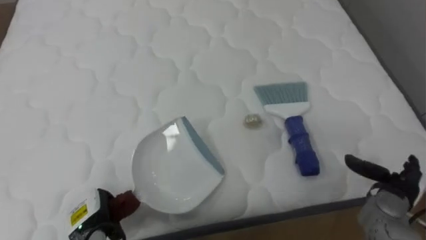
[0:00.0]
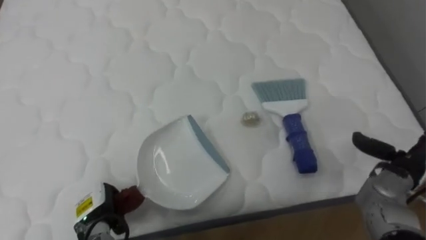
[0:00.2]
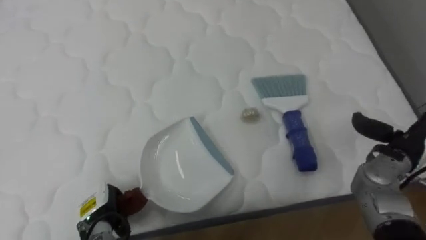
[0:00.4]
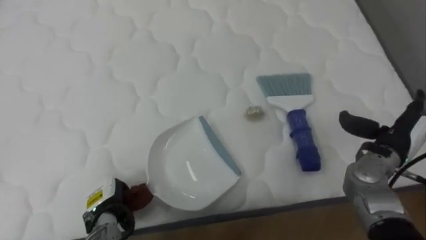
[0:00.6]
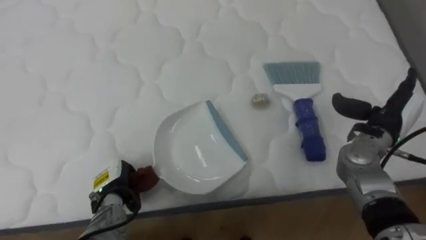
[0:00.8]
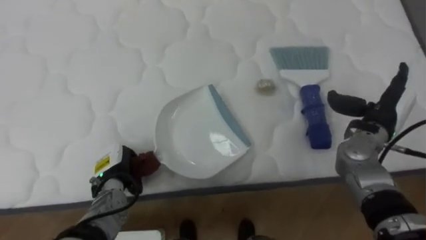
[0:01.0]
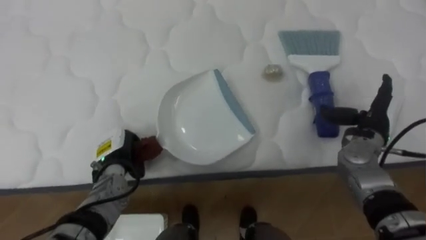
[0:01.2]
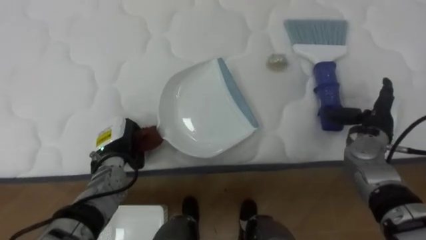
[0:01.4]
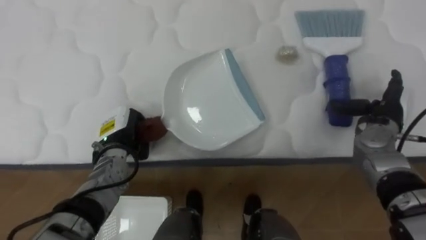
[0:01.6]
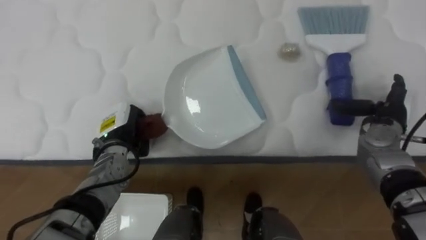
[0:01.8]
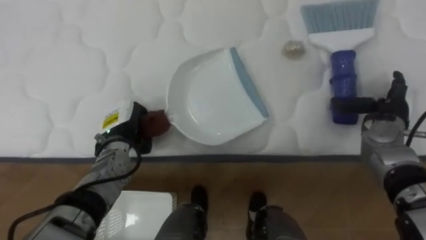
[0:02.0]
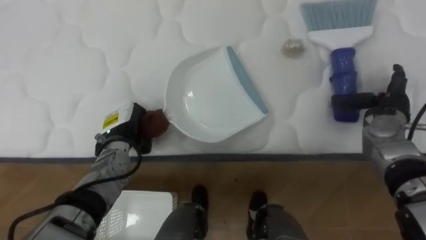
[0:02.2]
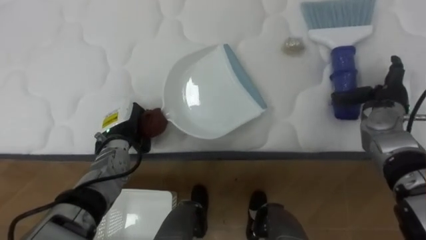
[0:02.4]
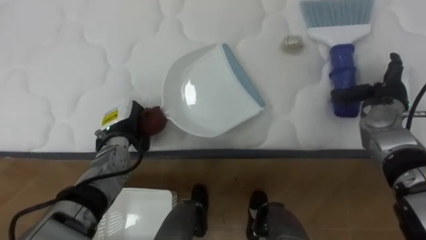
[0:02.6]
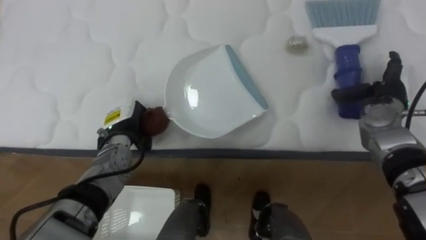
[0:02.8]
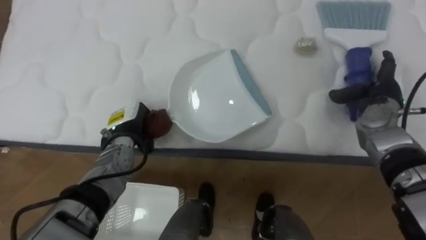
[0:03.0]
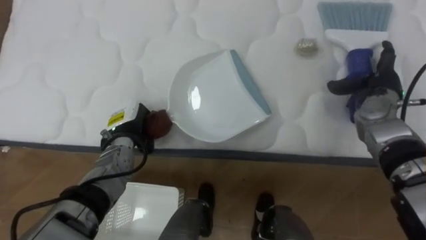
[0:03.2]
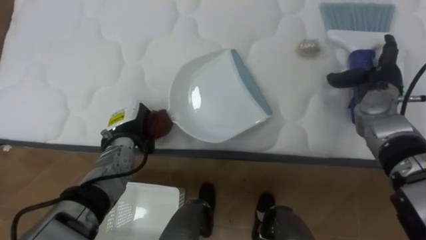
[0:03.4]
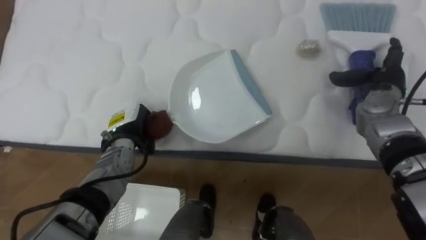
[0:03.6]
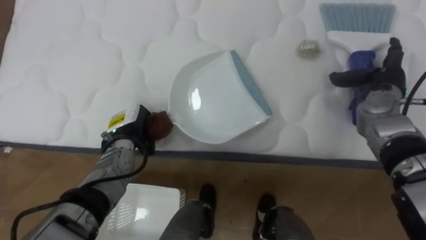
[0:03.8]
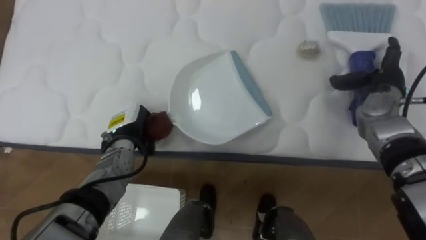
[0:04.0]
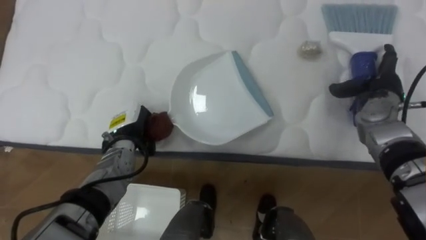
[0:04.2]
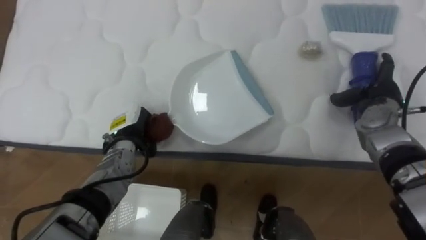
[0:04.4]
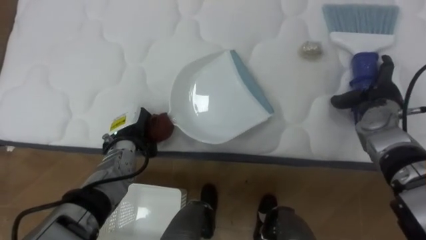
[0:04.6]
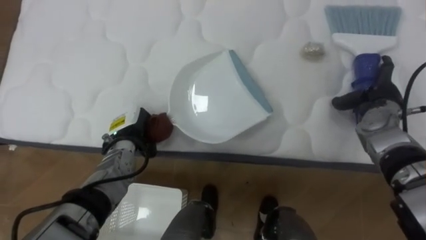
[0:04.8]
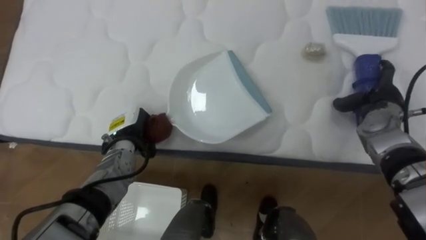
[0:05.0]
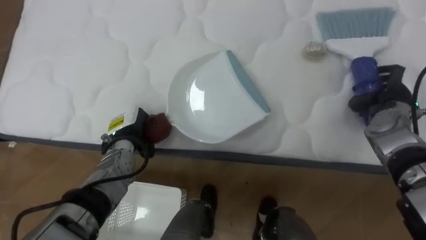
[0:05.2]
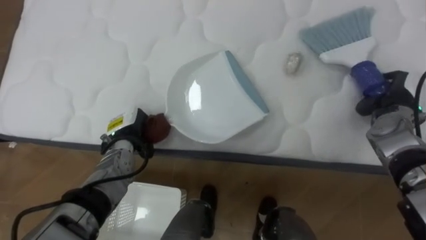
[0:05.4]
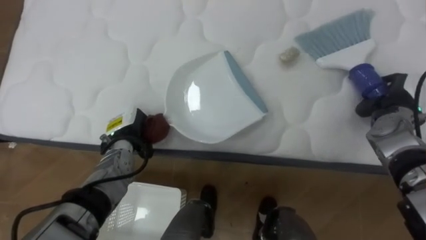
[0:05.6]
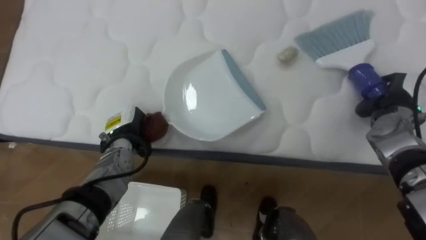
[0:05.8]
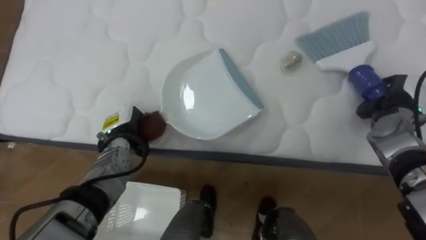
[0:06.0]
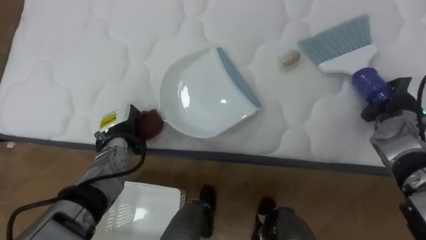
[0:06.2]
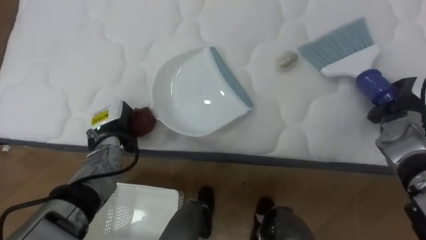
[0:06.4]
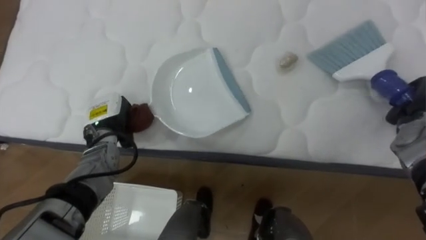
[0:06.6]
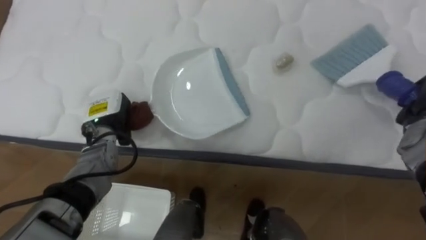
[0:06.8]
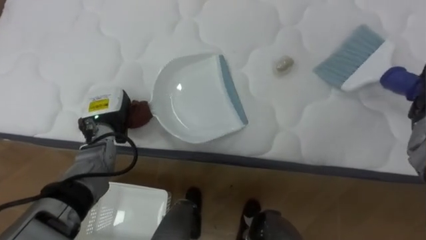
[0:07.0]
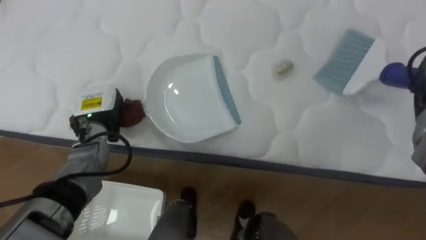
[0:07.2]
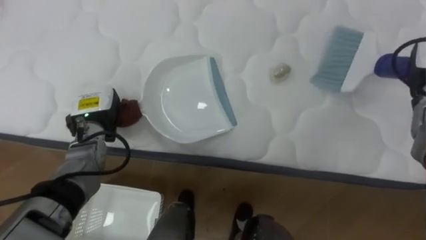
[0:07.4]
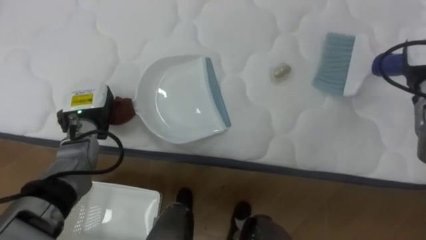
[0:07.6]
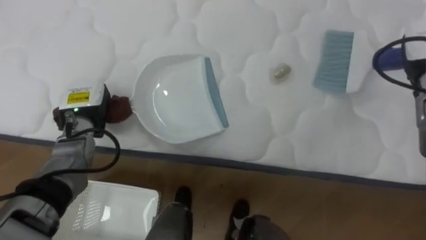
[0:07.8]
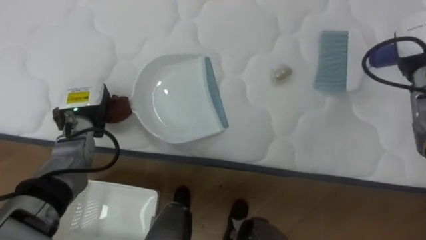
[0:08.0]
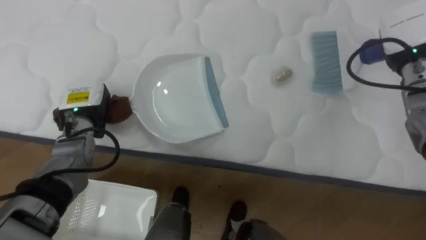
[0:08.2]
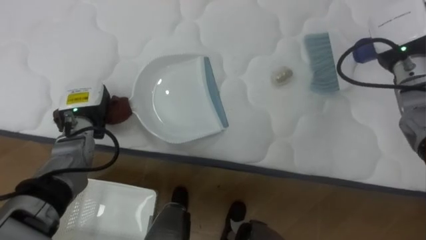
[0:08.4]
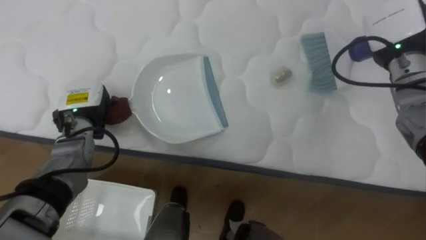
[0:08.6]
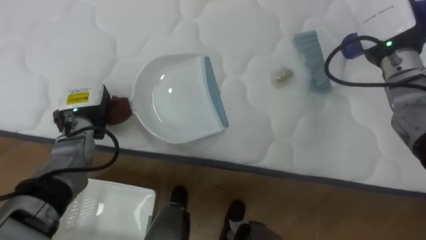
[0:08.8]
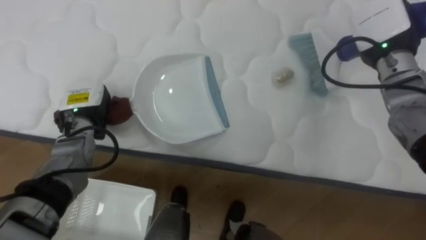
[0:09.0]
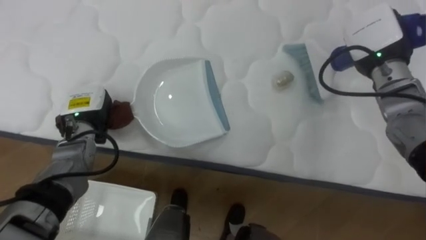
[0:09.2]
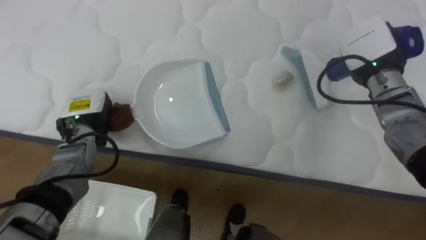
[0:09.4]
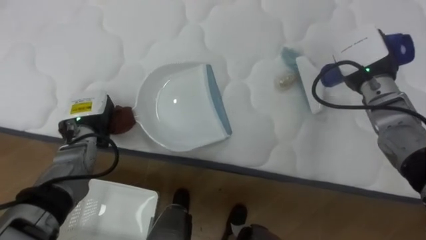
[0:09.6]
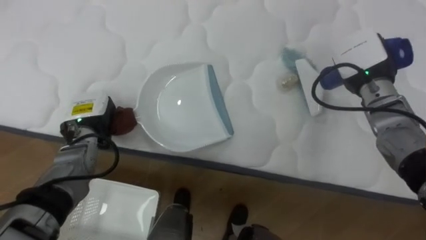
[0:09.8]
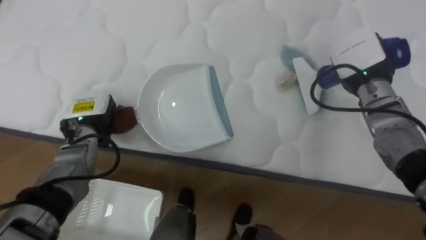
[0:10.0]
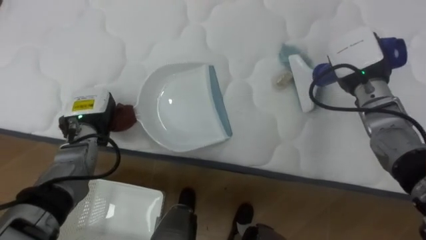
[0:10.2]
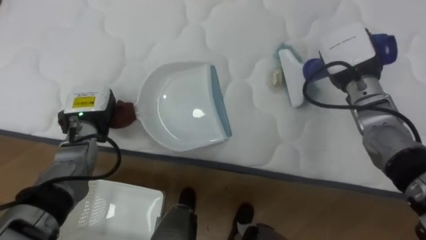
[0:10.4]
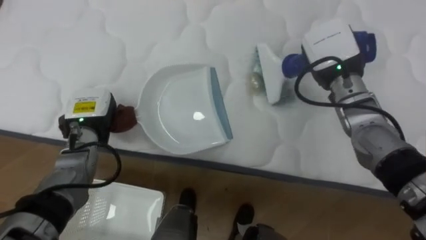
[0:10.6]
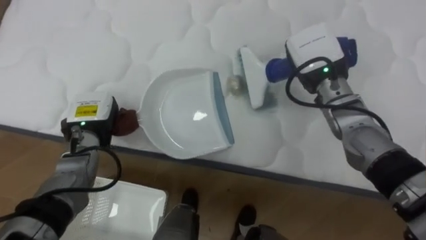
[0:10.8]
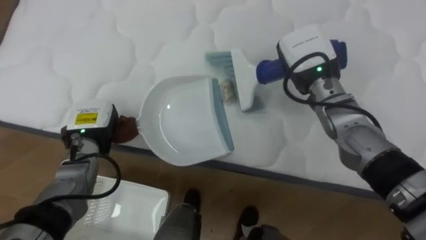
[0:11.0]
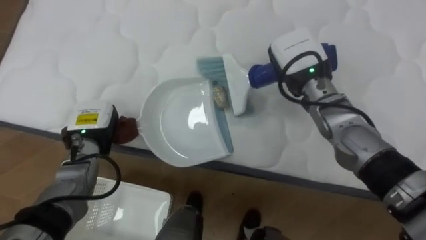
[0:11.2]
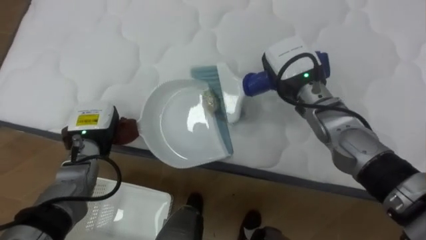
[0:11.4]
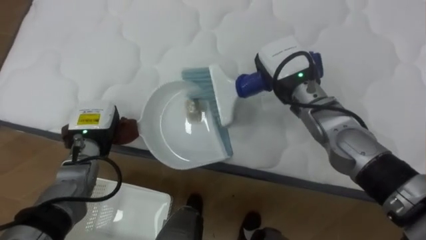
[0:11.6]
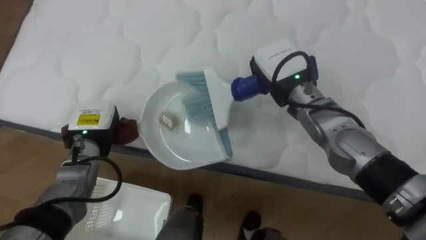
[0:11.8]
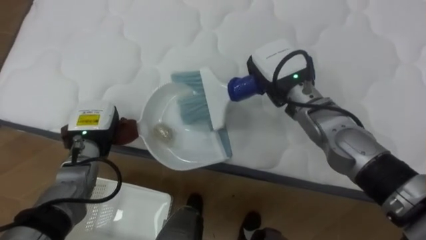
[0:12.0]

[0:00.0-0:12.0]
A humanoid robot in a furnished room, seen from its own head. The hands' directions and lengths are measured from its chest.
Task of the whole recording: Pick up the brush on your right and the dustpan on your left. Use the brush to sweep the crumpled paper on the bed into the dustpan, then turn left and empty it into the basket.
0:00.0 to 0:01.6: Both hands travel together forward and upward, about 15 cm.
0:04.4 to 0:06.0: The right hand closes up.
0:06.0 to 0:07.6: The left hand goes roughly 10 cm to the left and upward.
0:07.6 to 0:09.0: The right hand heads to the left, covering some 10 cm.
0:09.0 to 0:10.4: The right hand moves approximately 5 cm.
0:10.4 to 0:12.0: The right hand shifts some 10 cm to the left.

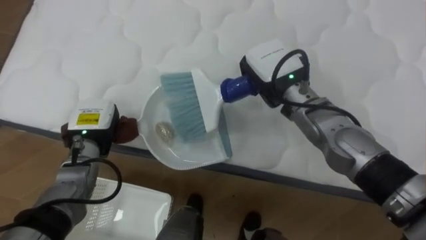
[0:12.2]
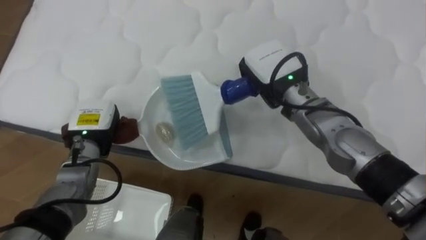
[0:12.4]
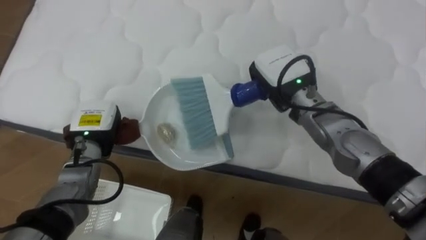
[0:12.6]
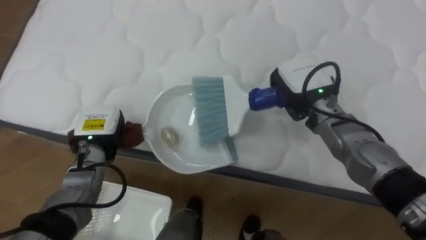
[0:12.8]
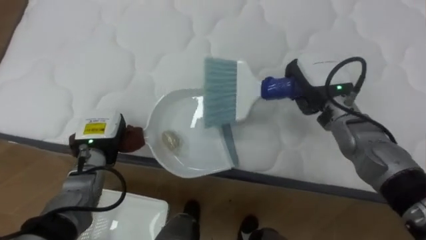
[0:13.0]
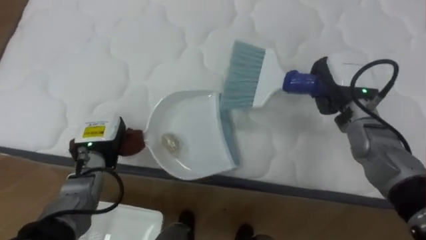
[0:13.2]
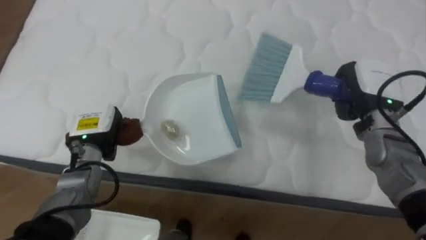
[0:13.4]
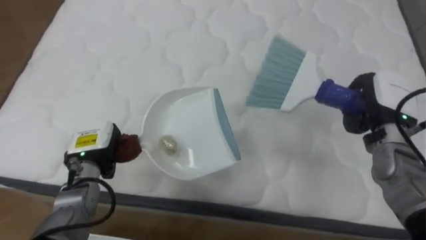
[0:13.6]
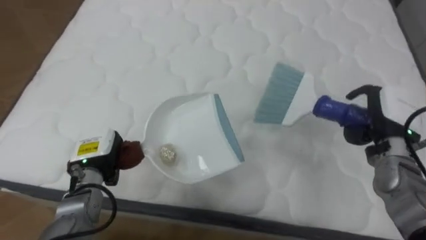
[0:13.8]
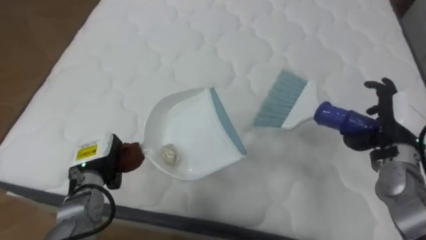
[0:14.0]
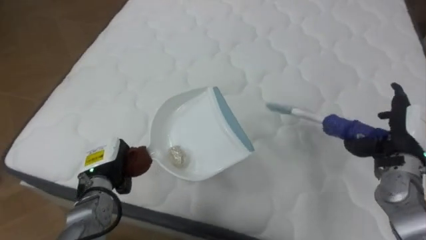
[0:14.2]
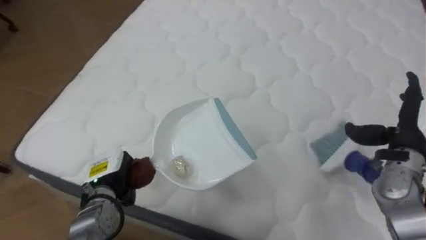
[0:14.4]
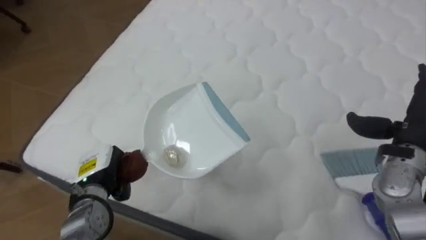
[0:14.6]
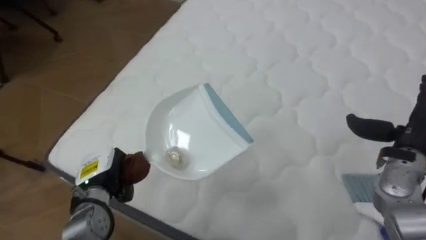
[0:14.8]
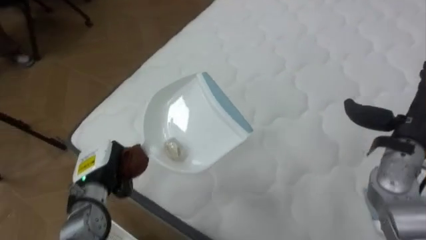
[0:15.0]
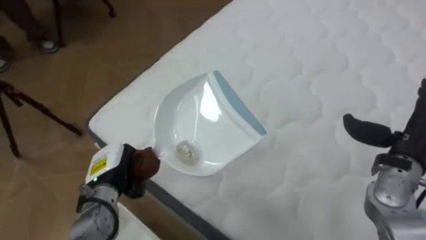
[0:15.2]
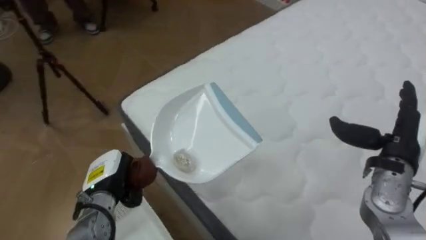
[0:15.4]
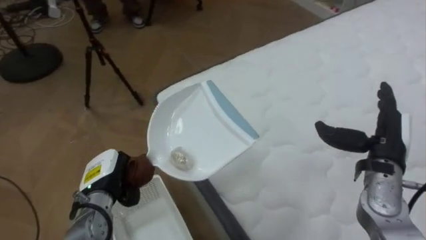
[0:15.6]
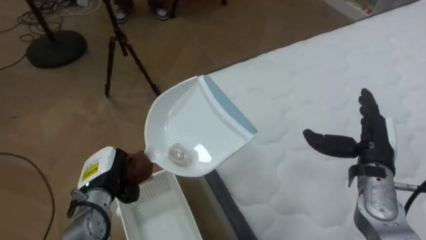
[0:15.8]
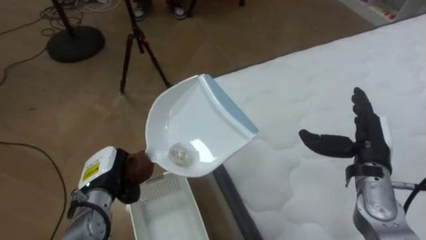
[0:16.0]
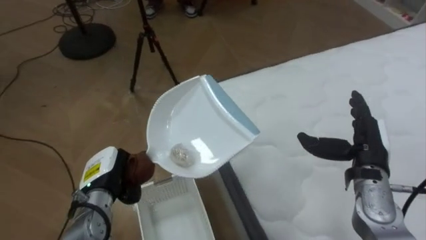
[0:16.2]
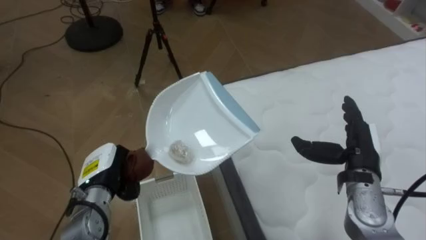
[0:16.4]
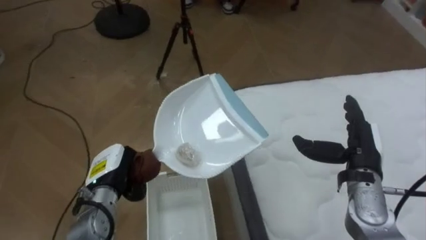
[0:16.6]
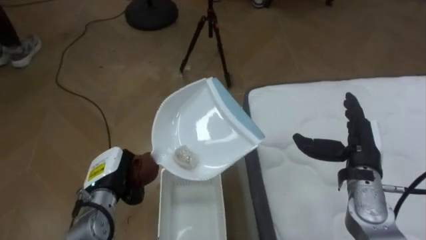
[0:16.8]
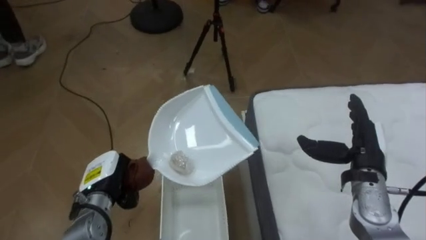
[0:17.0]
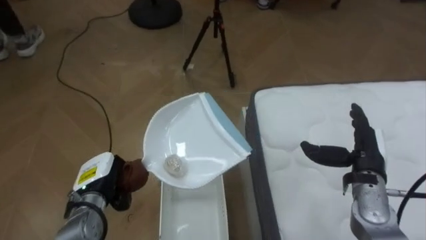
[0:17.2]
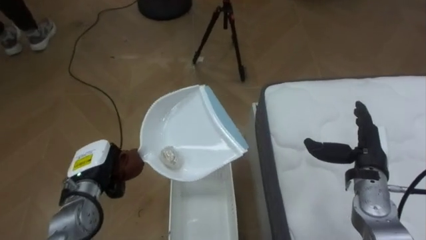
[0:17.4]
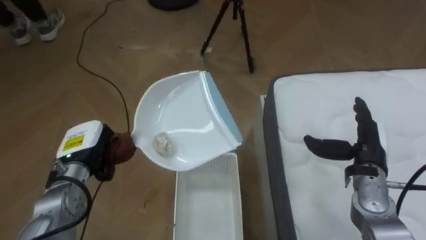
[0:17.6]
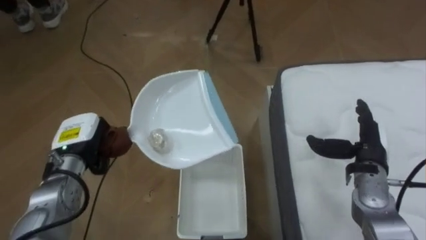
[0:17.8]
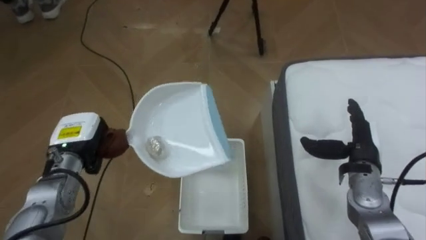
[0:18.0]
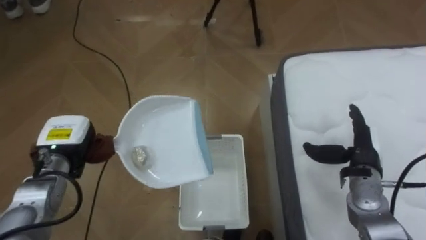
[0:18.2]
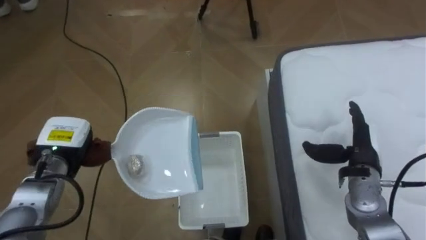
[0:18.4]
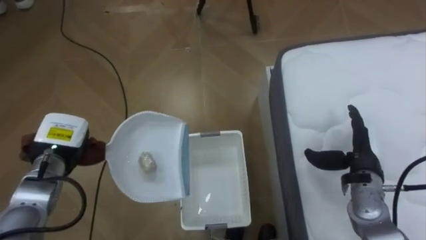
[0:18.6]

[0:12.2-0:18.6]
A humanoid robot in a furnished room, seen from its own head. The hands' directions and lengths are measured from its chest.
Task of the whole recording: Pick up the brush on your right and the dustpan on your left. Use the brush to sweep the crumpled paper on the bed into the dustpan, then turn left and empty it into the basket.
0:12.2 to 0:13.8: The right hand heads to the right, covering approximately 20 cm. The left hand goes some 5 cm backward.
0:13.8 to 0:15.4: The robot faces approximately 40 degrees further to its left. The left hand moves some 5 cm. Meanwhile the right hand travels backward by roughly 5 cm, and opens its fingers.
0:15.4 to 0:17.0: The robot's body swings approximately 40 degrees to its left. The right hand moves approximately 5 cm.
0:17.0 to 0:18.6: The left hand is displaced to the left, upward and forward by some 10 cm.
